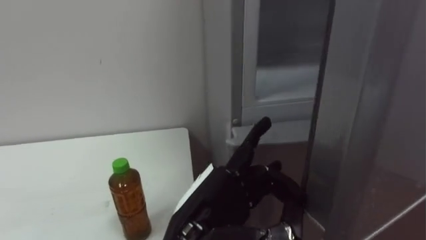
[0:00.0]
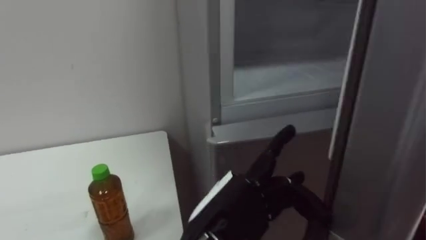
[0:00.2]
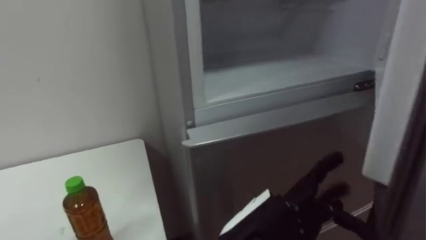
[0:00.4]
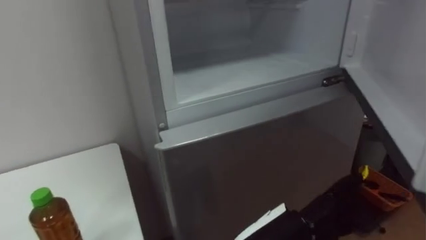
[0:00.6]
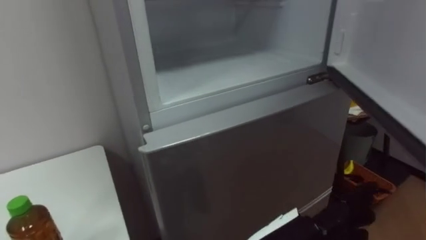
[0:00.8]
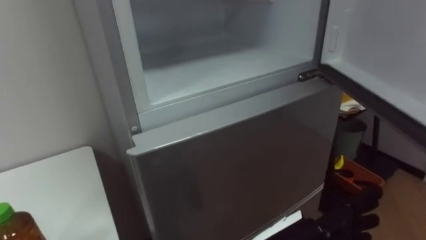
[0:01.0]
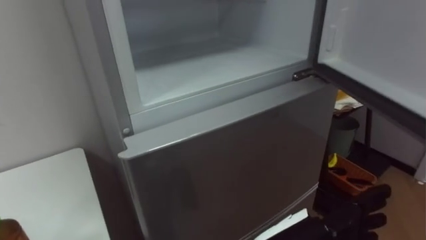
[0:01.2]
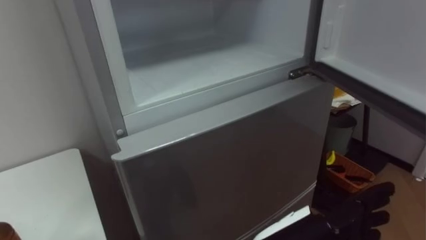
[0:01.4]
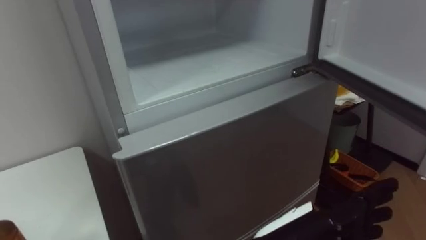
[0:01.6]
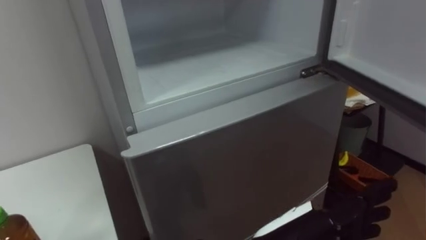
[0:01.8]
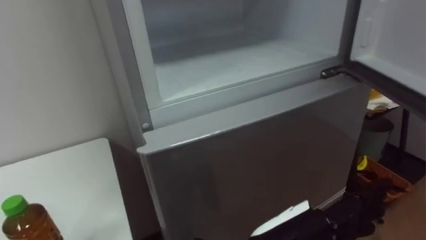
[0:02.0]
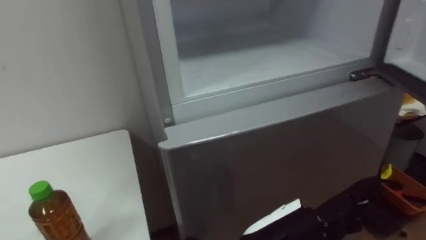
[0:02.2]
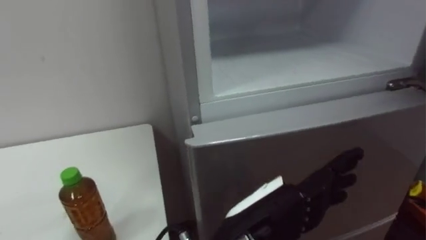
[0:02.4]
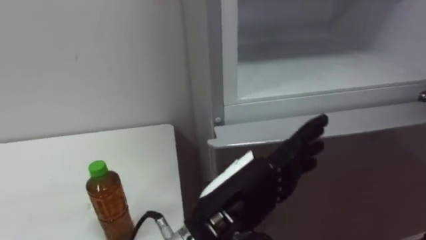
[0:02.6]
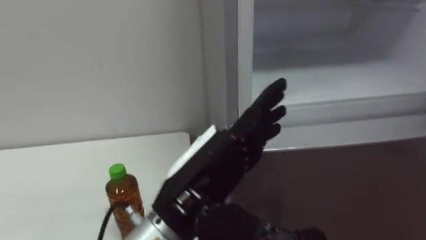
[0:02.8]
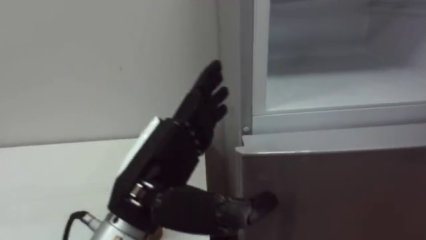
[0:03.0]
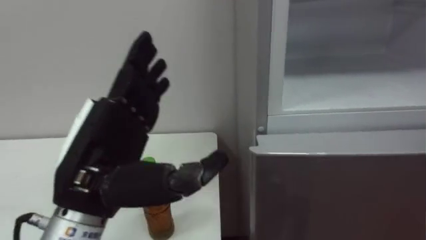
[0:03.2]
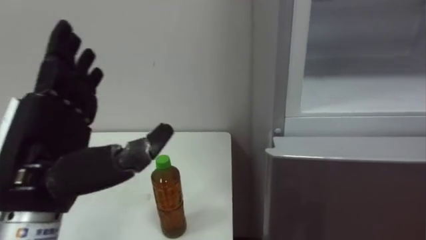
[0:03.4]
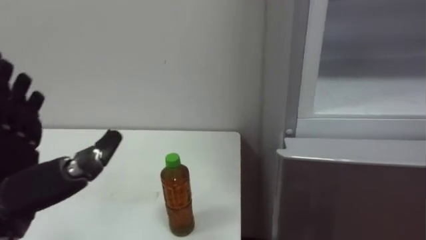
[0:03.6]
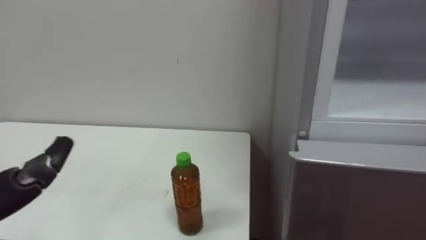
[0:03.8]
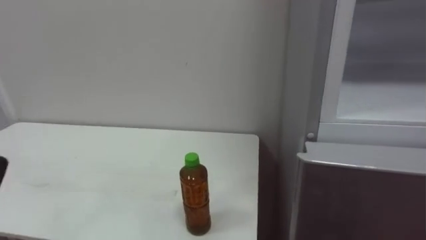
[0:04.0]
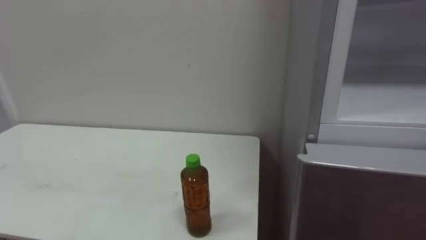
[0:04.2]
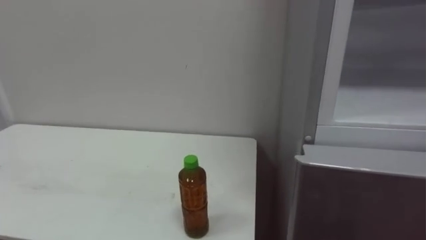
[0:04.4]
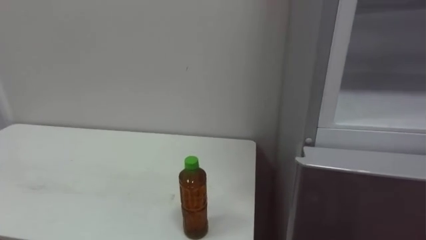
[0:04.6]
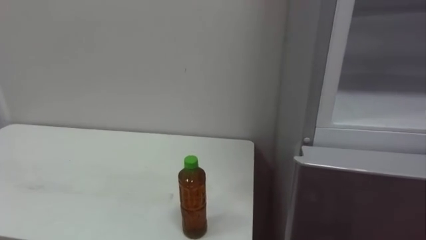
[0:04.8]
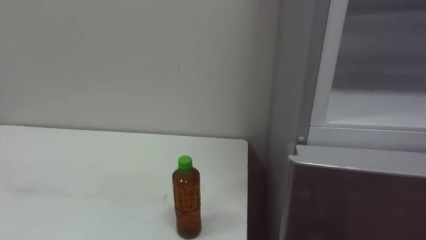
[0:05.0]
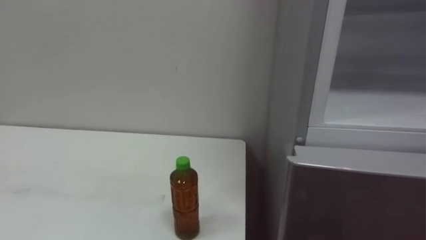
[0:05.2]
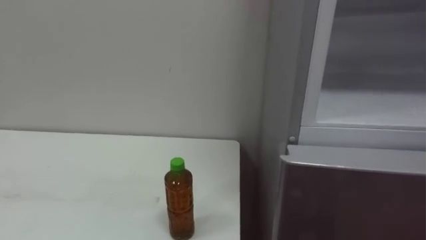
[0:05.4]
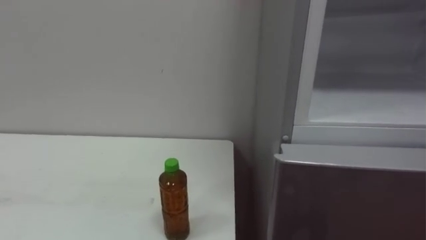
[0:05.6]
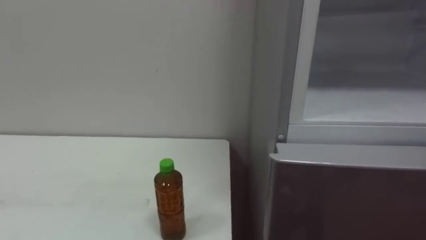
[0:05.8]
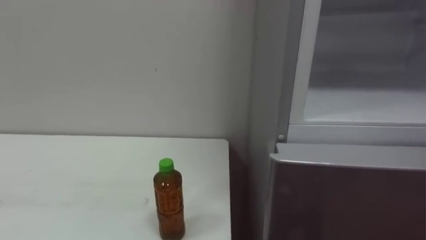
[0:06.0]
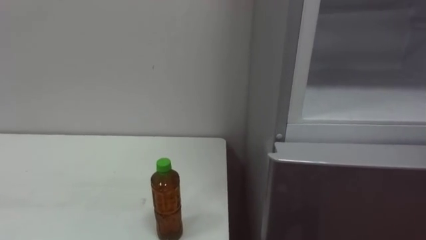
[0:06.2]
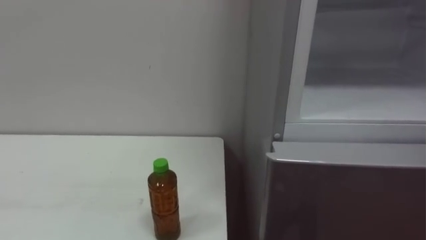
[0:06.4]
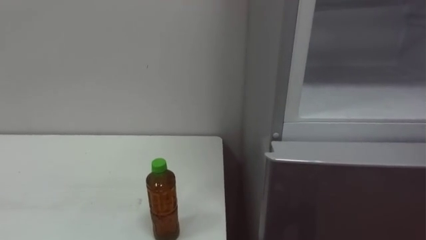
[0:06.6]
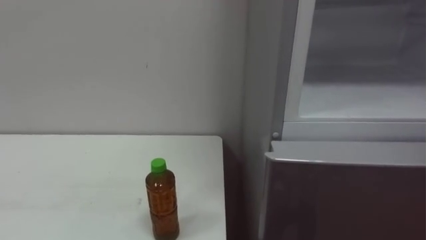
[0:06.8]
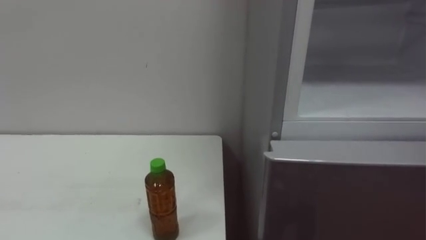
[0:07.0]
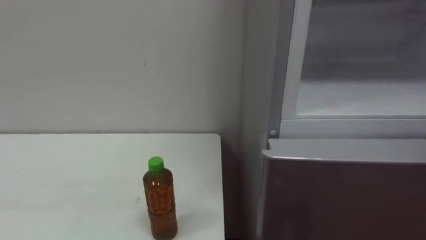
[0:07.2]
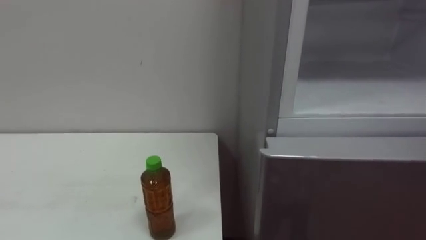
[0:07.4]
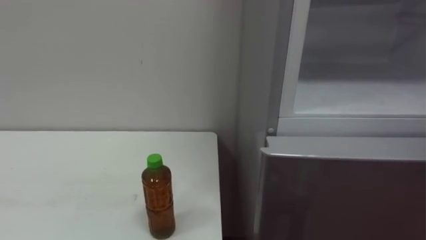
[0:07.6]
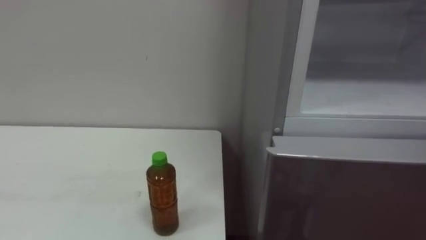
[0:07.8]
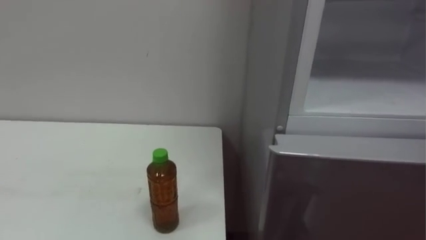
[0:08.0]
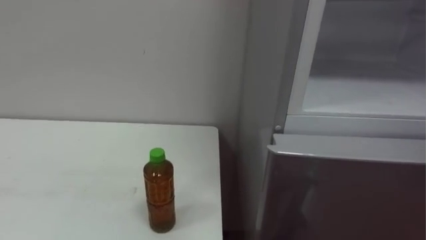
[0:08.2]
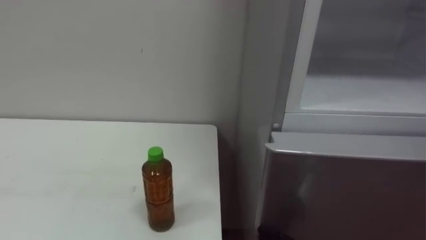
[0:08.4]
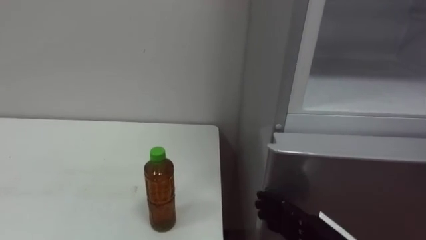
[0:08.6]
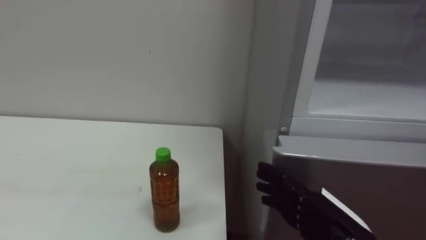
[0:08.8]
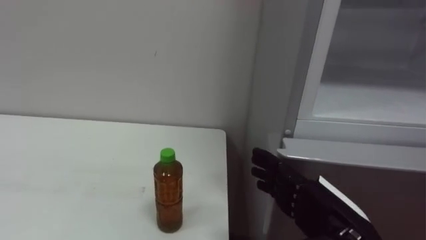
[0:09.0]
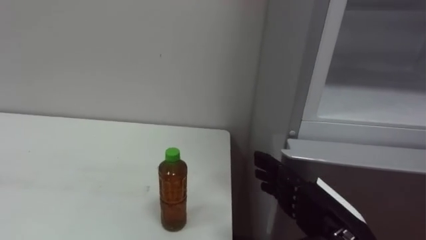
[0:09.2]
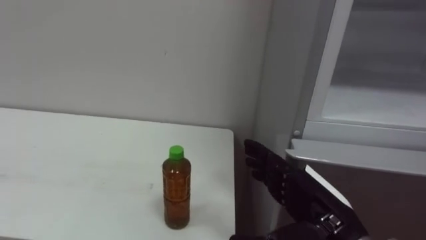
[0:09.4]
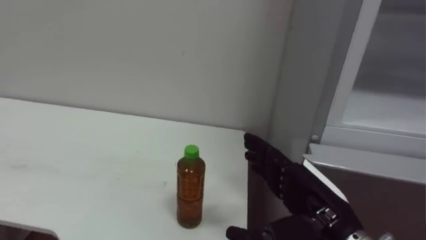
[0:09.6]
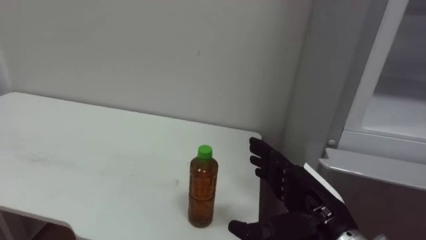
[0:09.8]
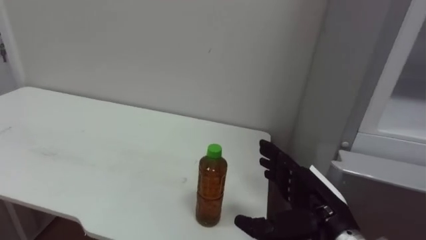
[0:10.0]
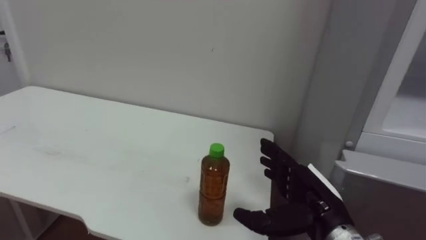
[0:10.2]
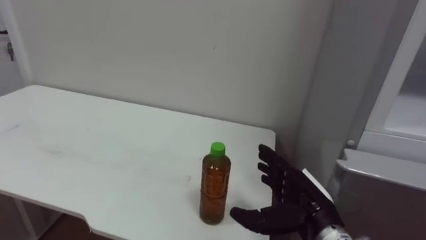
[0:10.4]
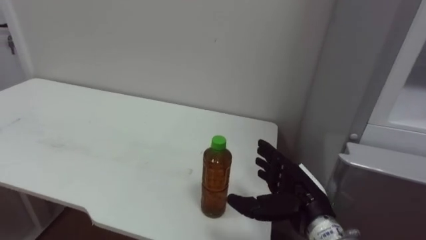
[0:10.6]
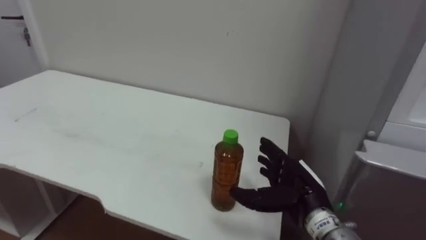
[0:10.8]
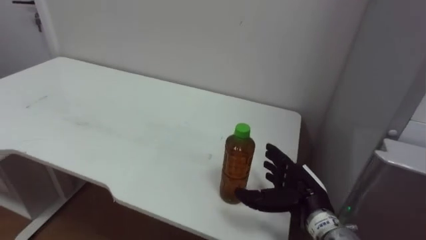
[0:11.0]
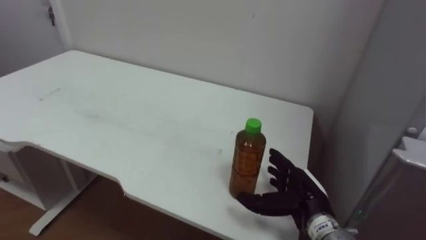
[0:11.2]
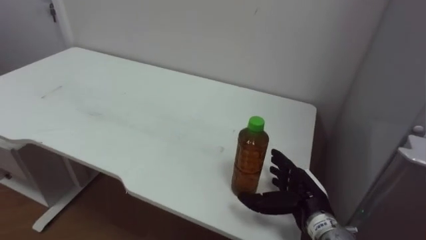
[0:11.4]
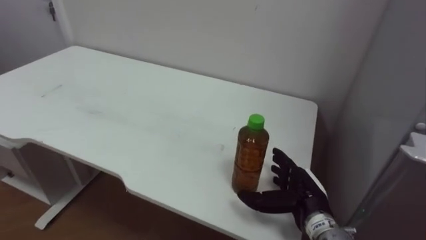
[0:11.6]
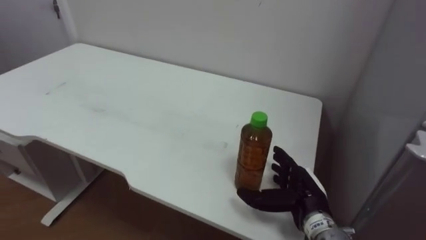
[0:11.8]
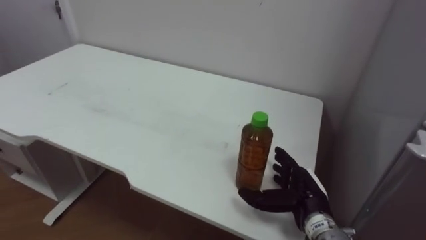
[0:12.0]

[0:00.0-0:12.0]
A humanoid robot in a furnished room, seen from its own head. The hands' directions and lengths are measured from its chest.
Task of the whole recording: Open the upper refrigerator door, put the drink from the table into the refrigerator, and then close the refrigerator door.
0:01.6 to 0:03.0: The left hand goes approximately 15 cm to the left and upward.
0:09.0 to 0:10.4: The right hand moves forward, roughly 5 cm.
0:10.4 to 0:12.0: The right hand ends up about 5 cm from where it was.

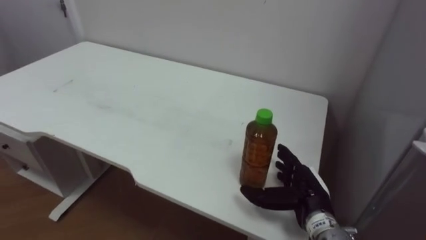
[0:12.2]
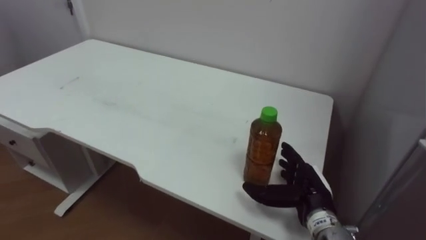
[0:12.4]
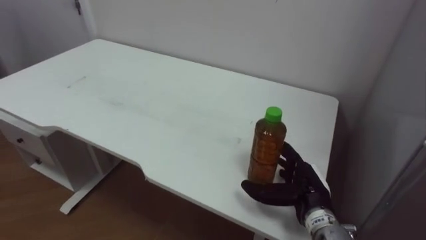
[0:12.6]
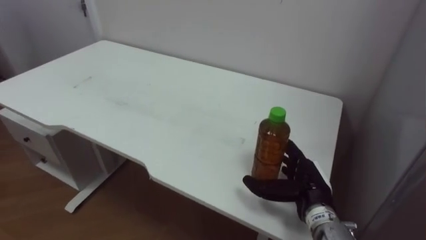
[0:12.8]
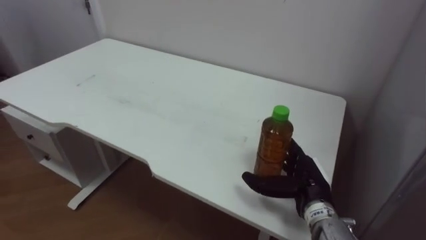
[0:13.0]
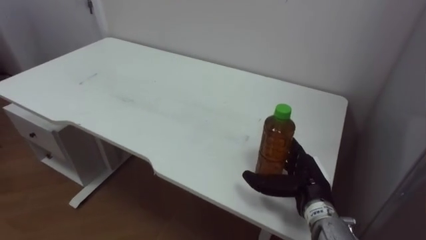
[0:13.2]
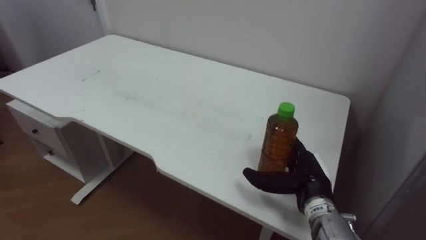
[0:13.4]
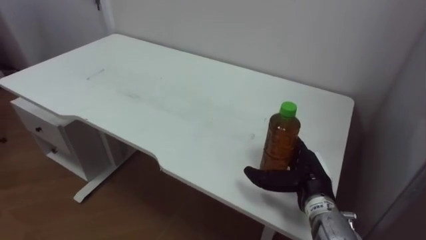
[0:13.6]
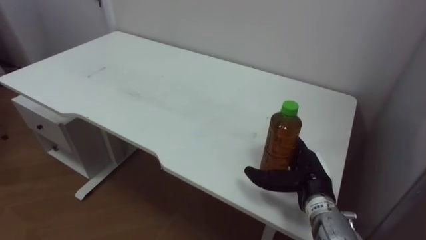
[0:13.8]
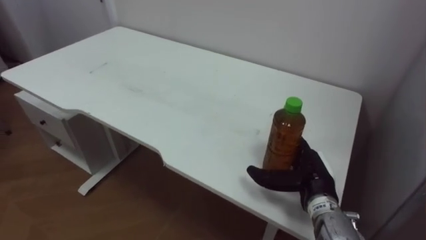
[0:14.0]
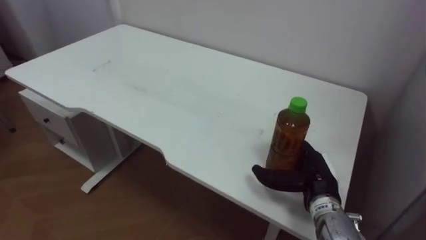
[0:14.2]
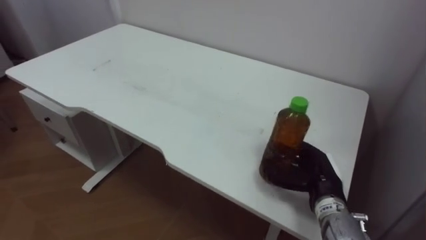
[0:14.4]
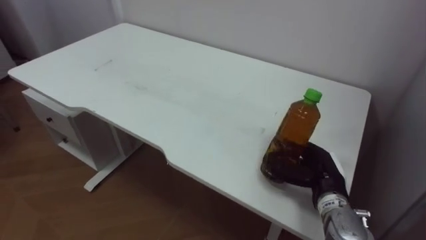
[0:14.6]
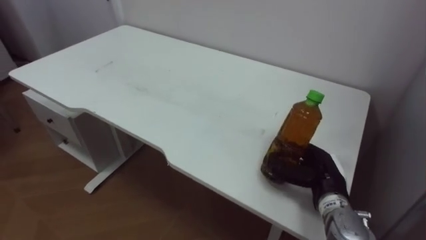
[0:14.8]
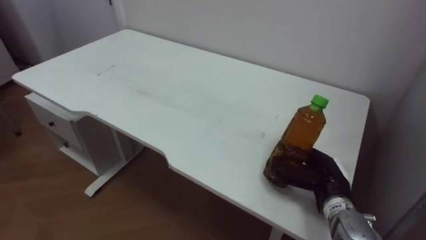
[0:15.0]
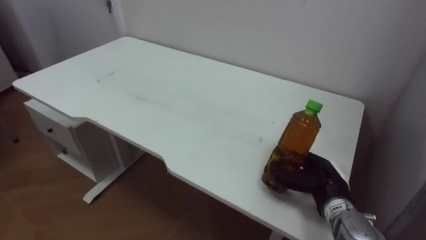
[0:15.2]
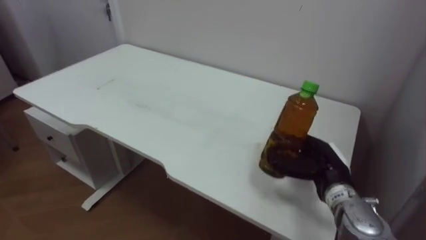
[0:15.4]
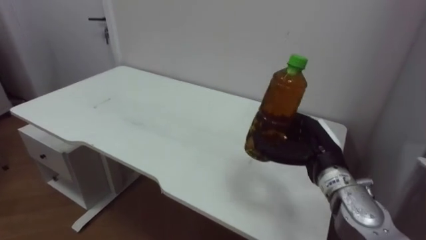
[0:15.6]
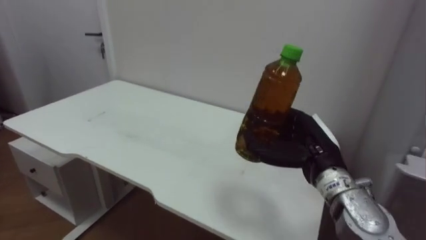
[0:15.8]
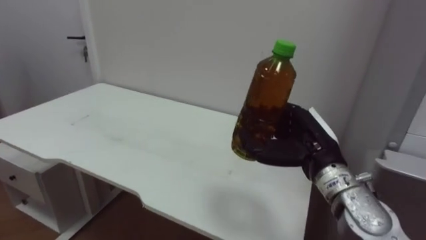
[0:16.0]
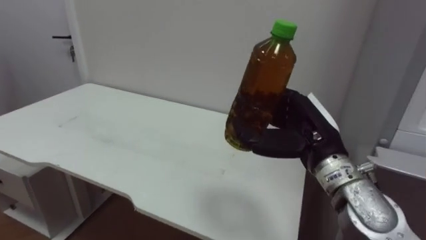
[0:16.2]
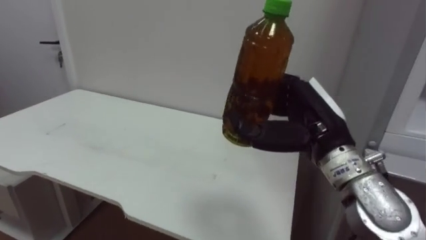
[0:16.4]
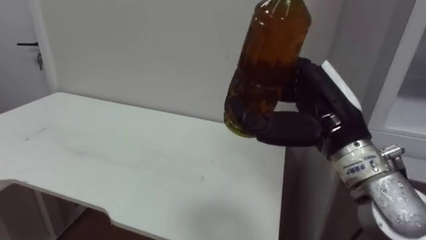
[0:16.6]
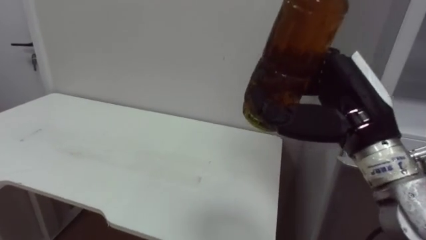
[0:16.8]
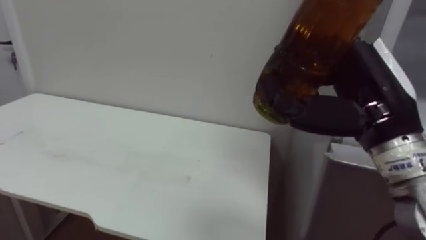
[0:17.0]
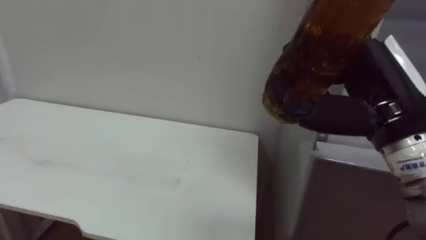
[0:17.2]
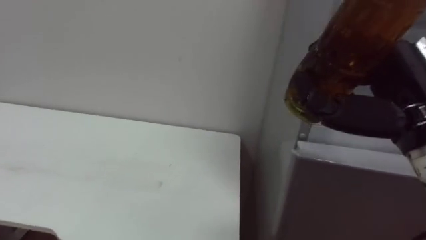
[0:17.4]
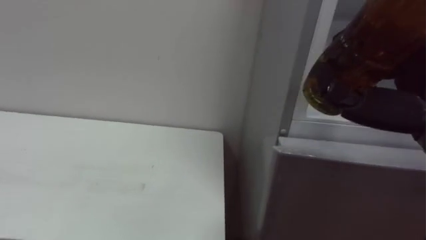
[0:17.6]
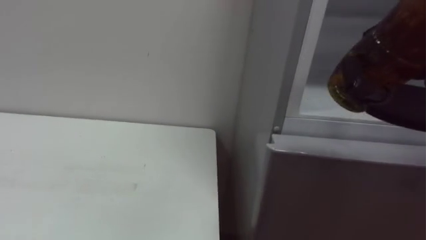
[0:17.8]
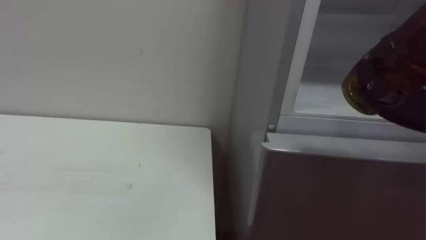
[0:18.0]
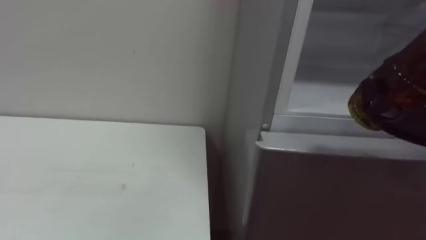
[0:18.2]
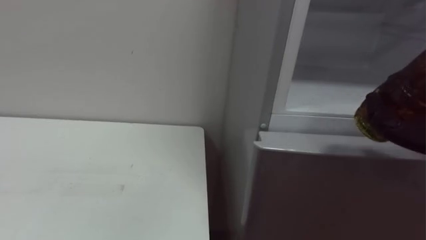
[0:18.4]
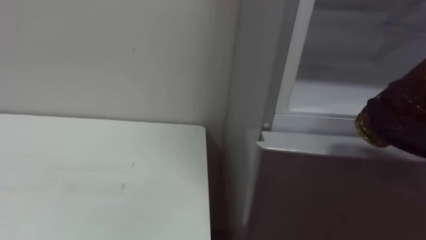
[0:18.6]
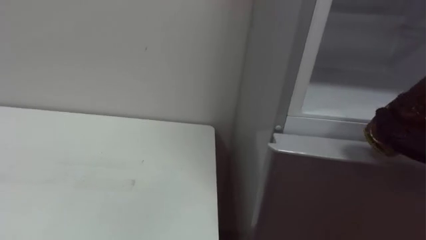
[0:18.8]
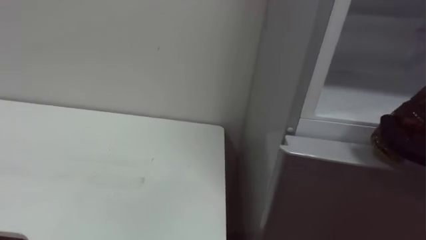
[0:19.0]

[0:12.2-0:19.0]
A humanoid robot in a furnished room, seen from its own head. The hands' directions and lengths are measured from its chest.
Task of the whole recording: Open the upper refrigerator door, put the drink from the table into the refrigerator, and then close the refrigerator door.
0:13.6 to 0:15.0: The right hand closes.
0:15.0 to 0:16.2: The right hand travels upward and to the left by some 15 cm.
0:16.2 to 0:17.6: The right hand is displaced upward, to the right and backward by approximately 15 cm.
